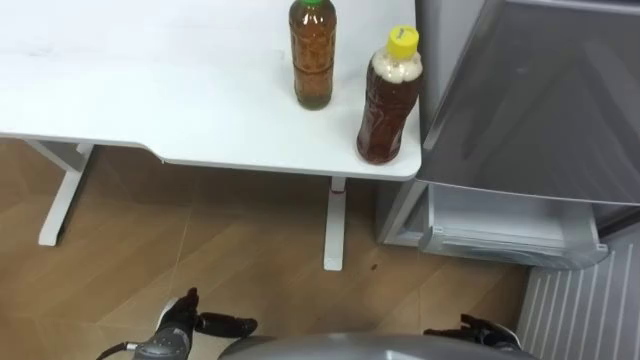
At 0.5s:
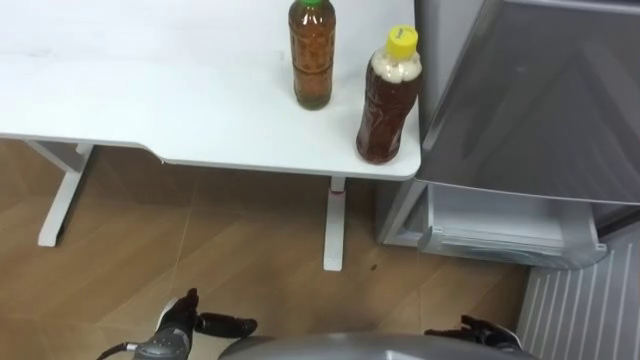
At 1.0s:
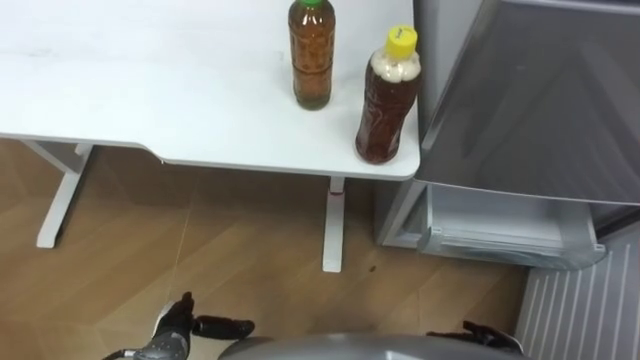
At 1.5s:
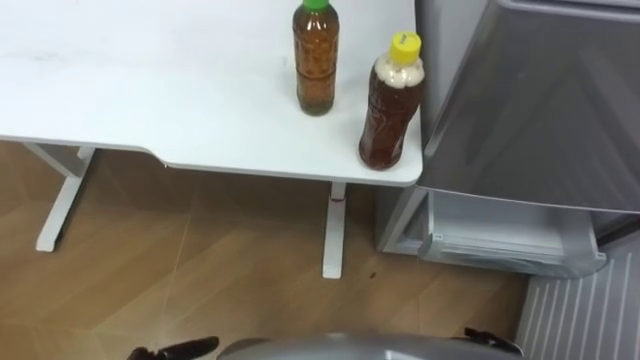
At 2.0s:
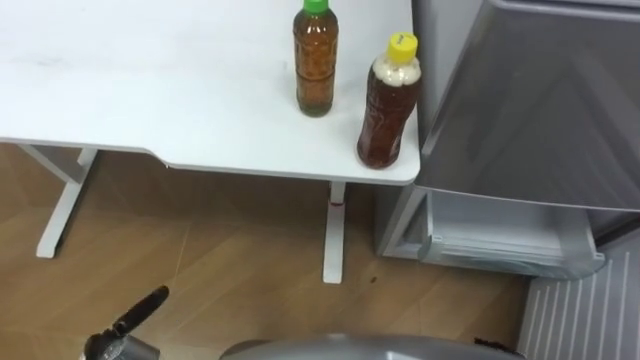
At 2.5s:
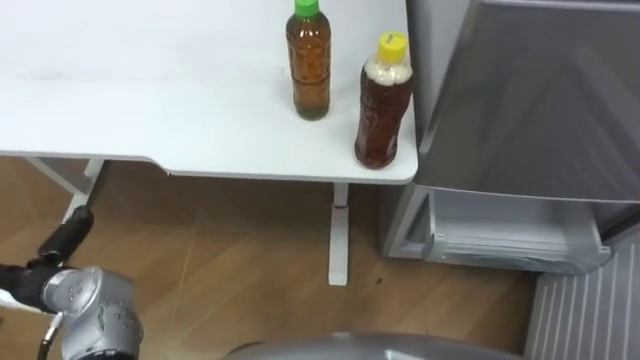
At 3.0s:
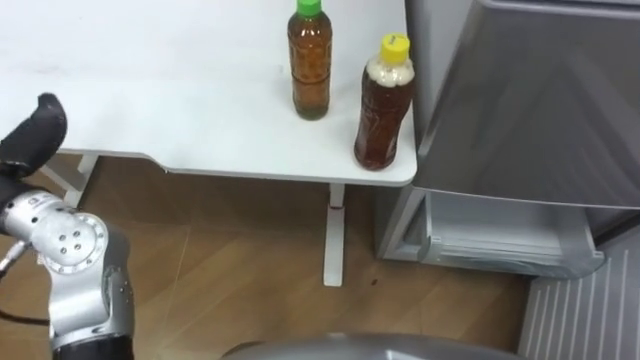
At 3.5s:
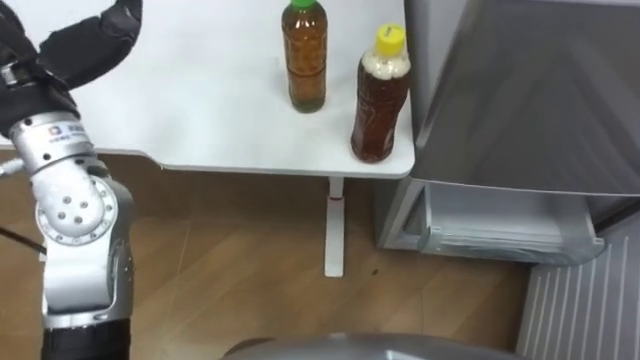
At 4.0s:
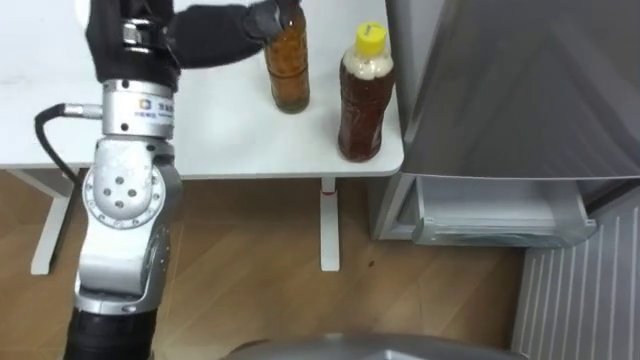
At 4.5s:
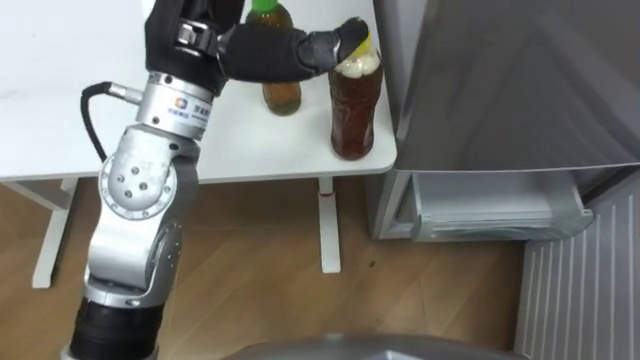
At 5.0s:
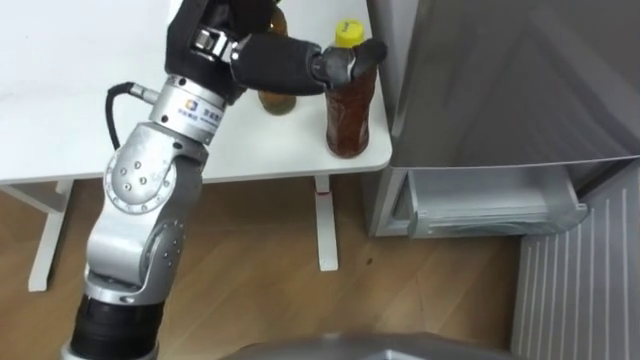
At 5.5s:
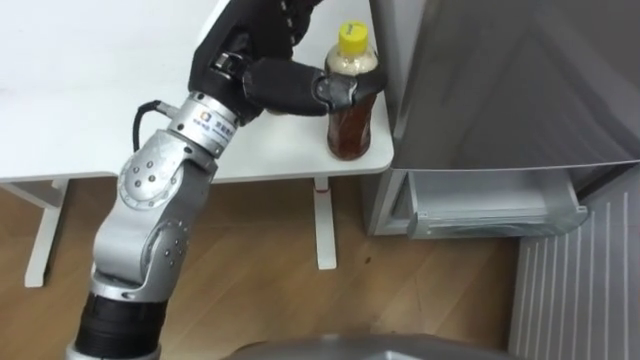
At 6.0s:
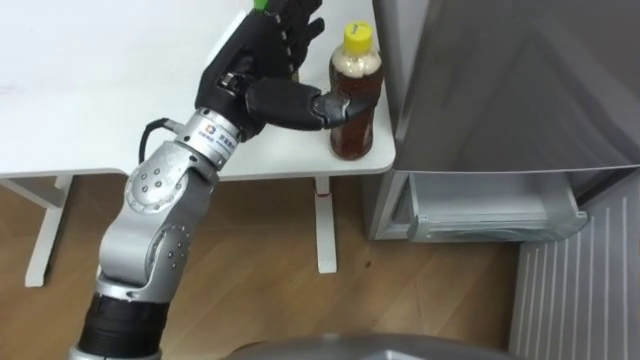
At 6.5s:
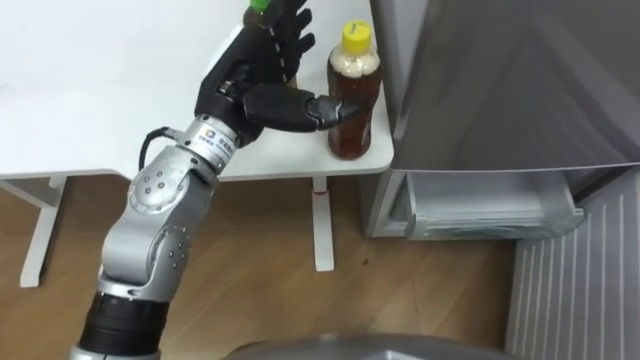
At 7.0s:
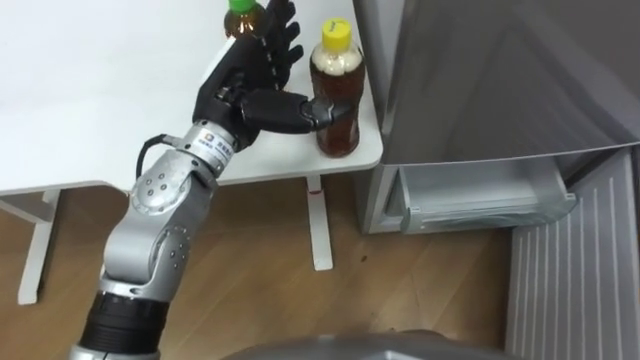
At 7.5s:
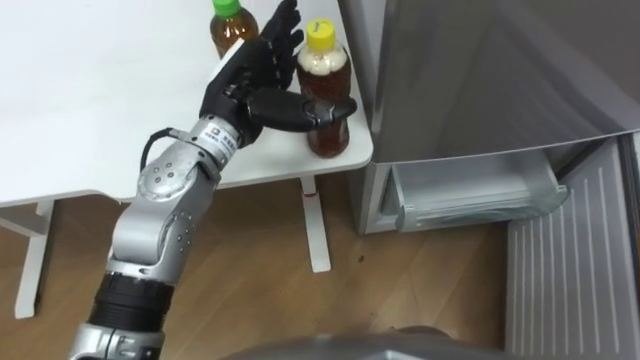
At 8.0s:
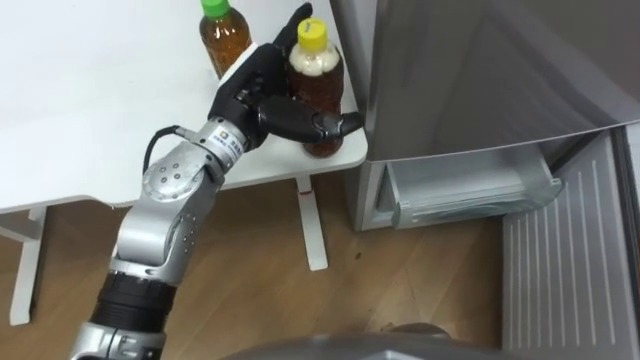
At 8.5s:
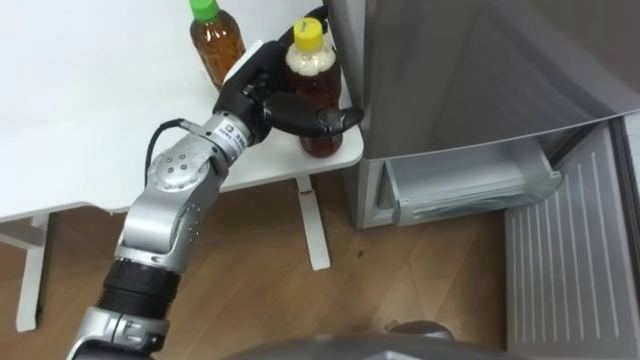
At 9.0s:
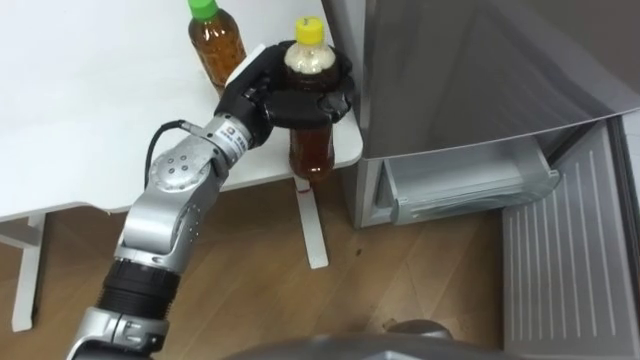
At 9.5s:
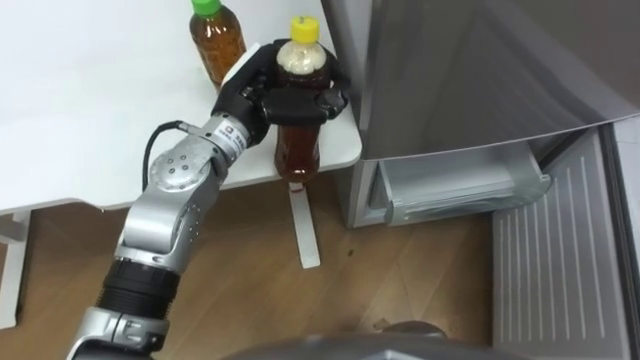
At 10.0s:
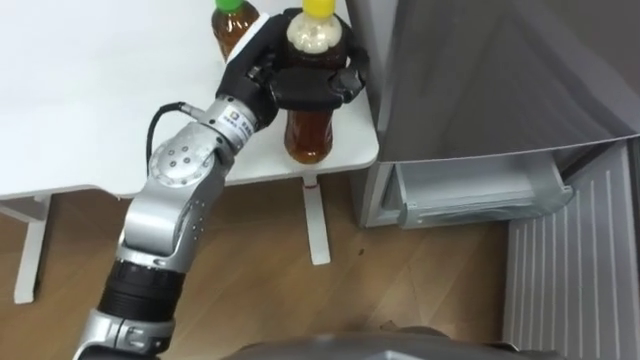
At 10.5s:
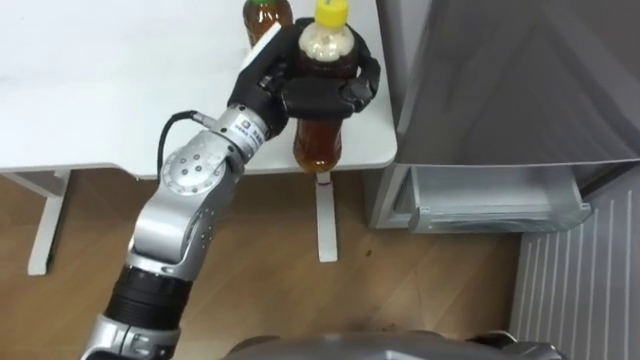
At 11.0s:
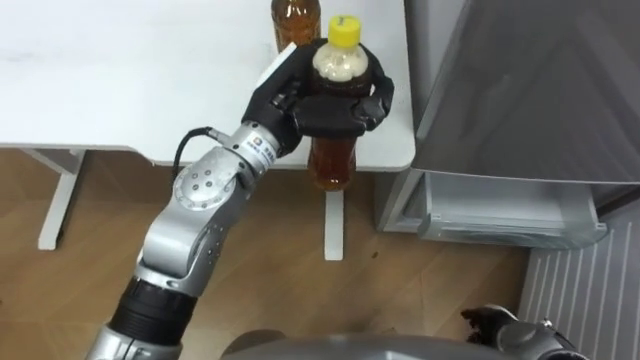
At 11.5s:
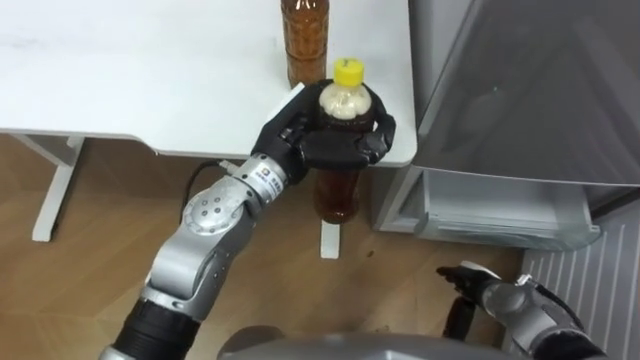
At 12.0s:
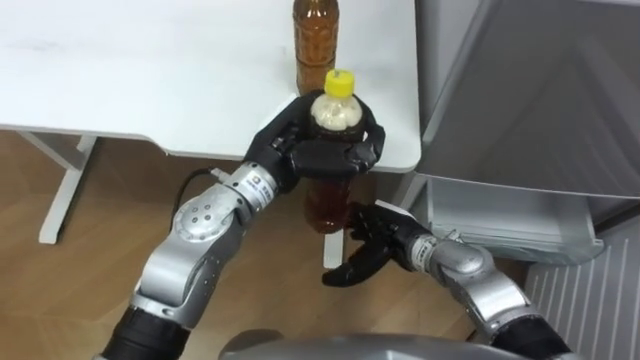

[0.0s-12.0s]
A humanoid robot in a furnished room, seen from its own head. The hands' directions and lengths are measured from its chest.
Task of the whole recording: Place the drink on the table on the bottom shelf of the refrigerator, then close the drawer and the refrigerator door.
4.0s to 6.0s: The left hand goes roughly 10 cm downward and to the right.
6.0s to 8.0s: The left hand moves downward, approximately 5 cm.
8.0s to 10.0s: The left hand closes up.
10.0s to 12.0s: The left hand heads downward, covering approximately 5 cm.

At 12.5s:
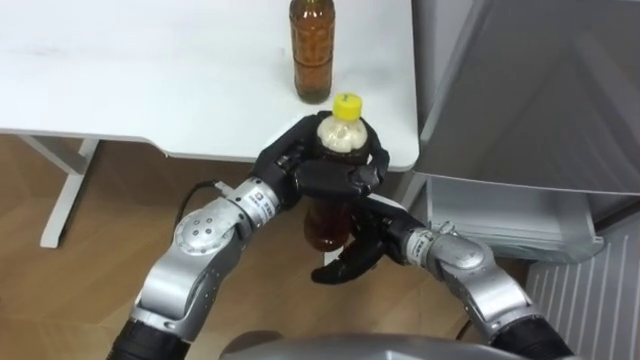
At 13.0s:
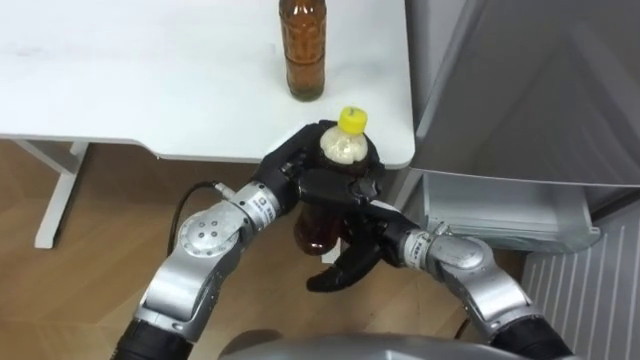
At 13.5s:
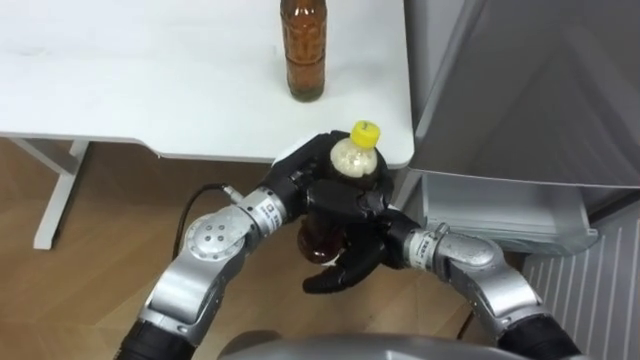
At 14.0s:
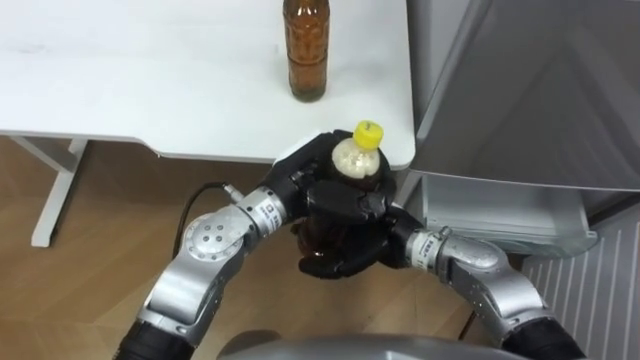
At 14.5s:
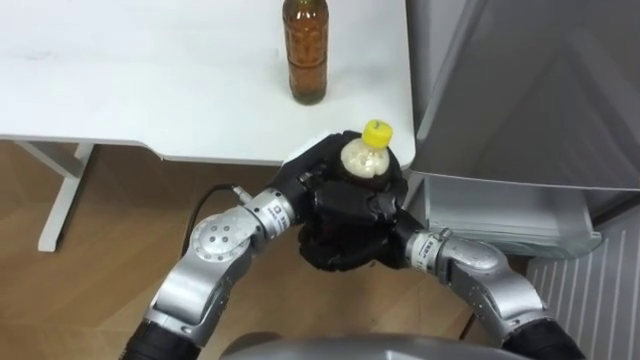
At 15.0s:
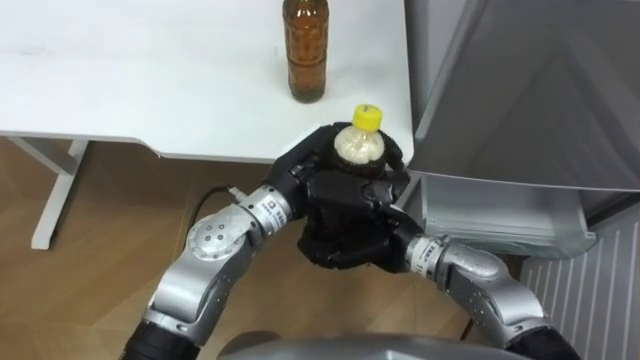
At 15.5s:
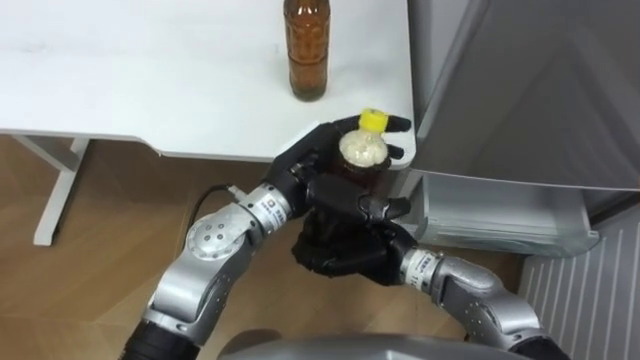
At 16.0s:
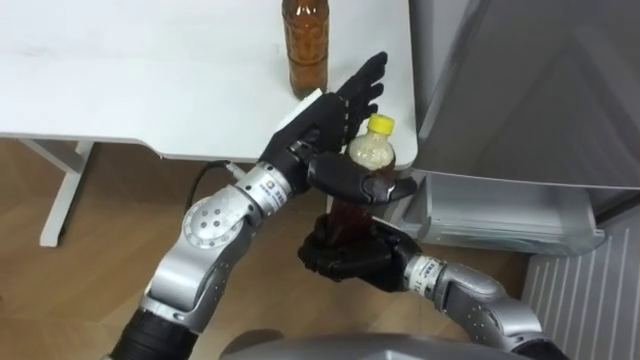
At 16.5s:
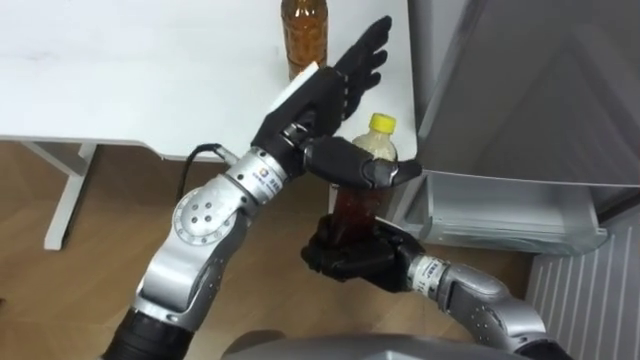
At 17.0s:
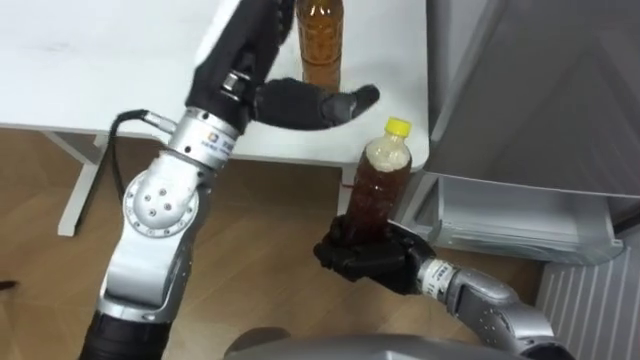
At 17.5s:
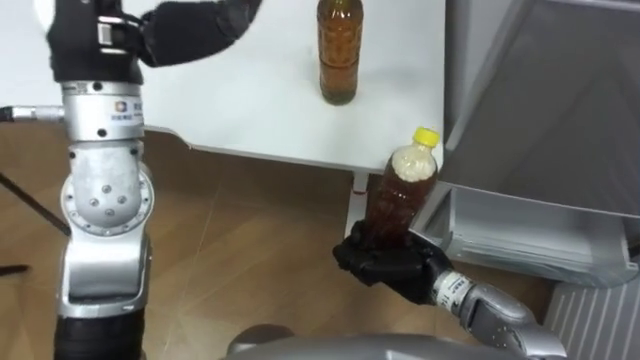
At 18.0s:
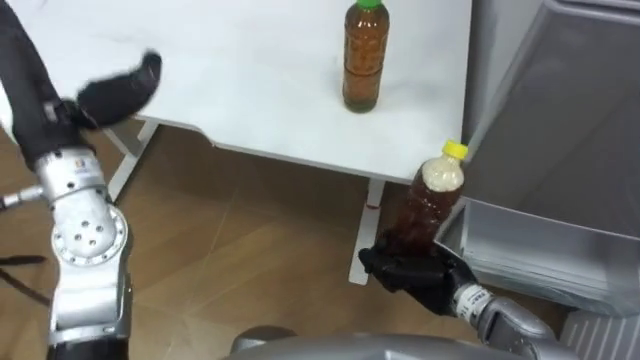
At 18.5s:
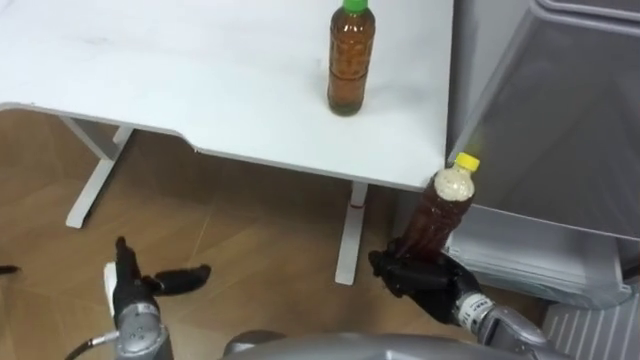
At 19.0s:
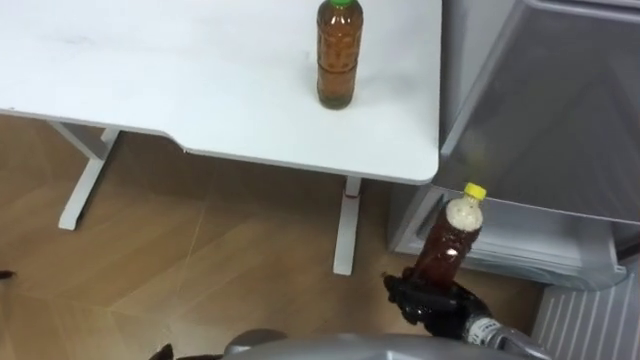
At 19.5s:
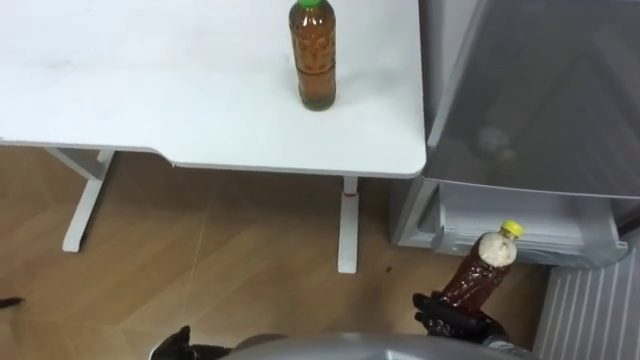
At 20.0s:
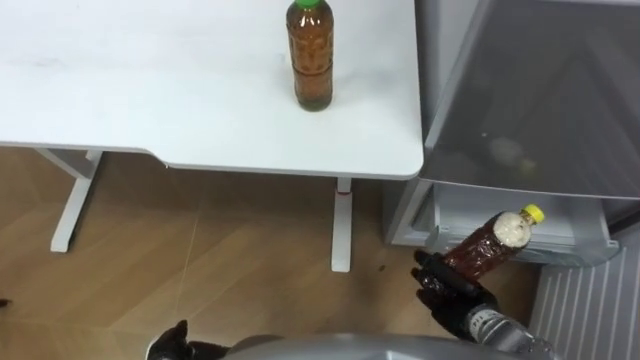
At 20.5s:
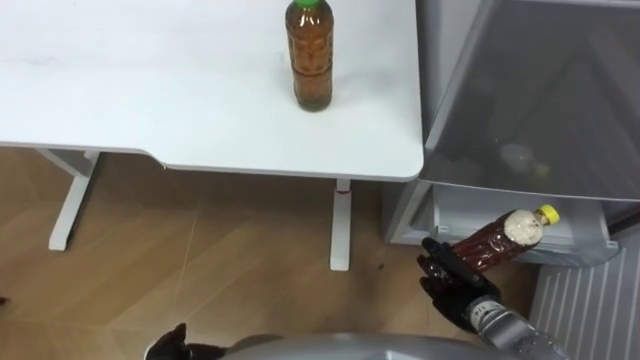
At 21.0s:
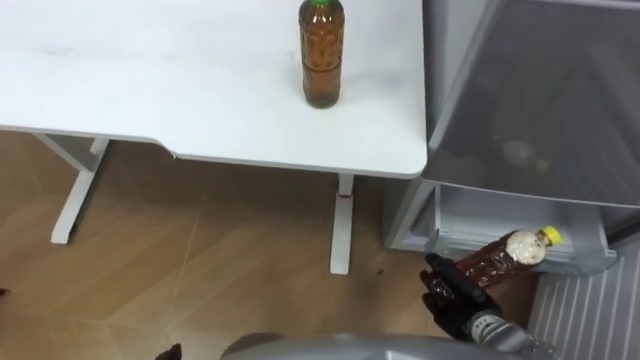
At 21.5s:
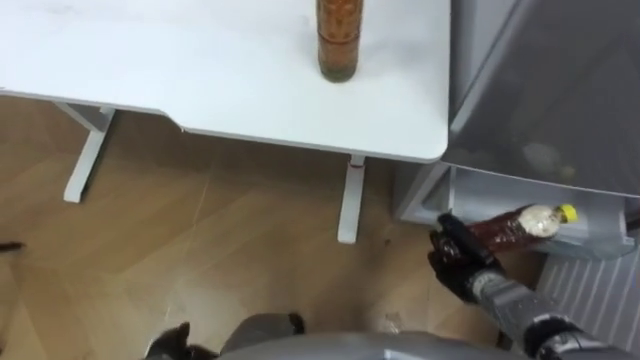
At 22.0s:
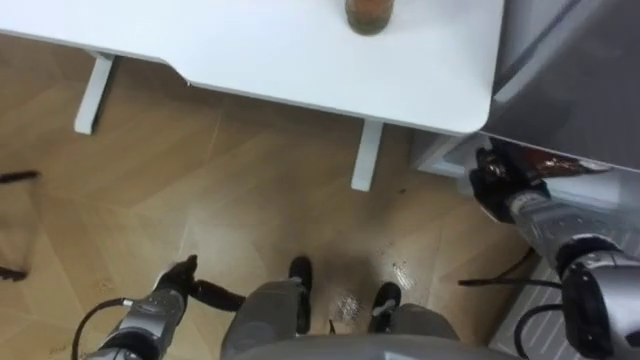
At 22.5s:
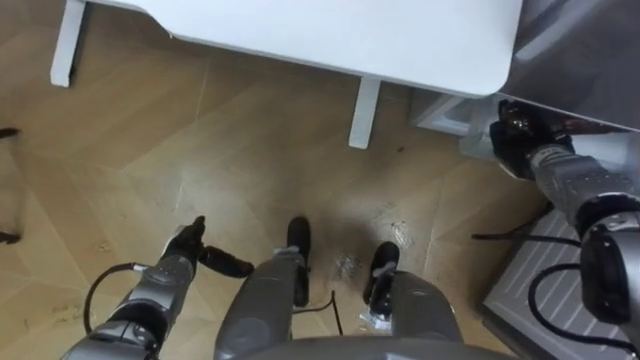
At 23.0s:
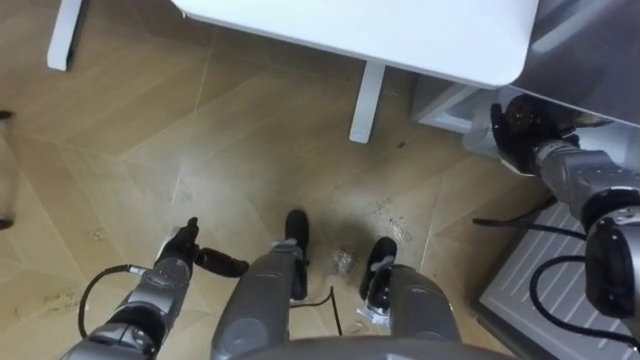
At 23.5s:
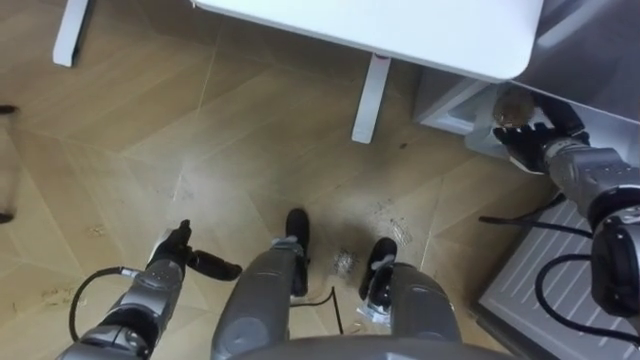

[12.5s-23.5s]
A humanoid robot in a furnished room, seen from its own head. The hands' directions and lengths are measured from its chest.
Task of the whole recording: Place the drink on the table on the bottom shelf of the refrigerator, then close the drawer and the refrigerator door.
12.5s to 14.5s: The right hand closes.
14.5s to 16.0s: The left hand opens its fingers.
16.0s to 18.0s: The right hand shifts some 10 cm to the right.
18.0s to 20.0s: The right hand travels downward and to the right by about 10 cm.
21.5s to 23.5s: The right hand moves forward, upward and to the right, roughly 25 cm, and opens up.
